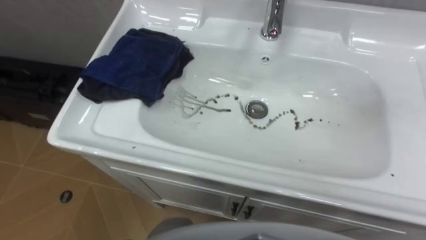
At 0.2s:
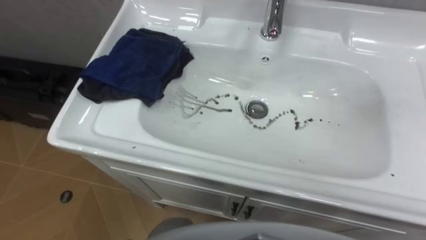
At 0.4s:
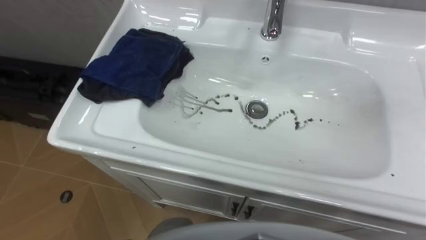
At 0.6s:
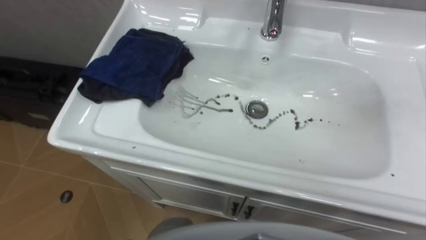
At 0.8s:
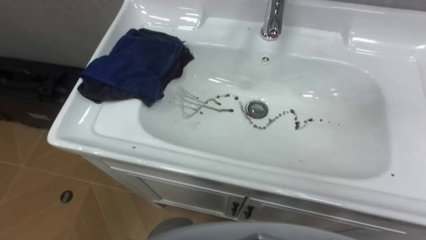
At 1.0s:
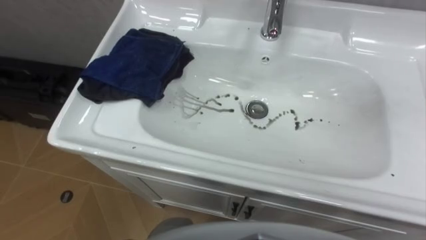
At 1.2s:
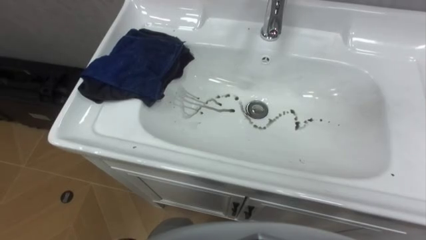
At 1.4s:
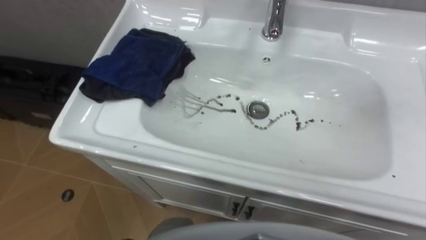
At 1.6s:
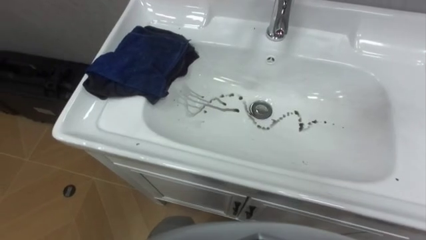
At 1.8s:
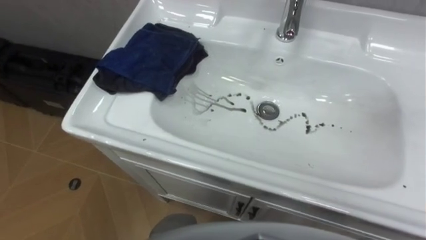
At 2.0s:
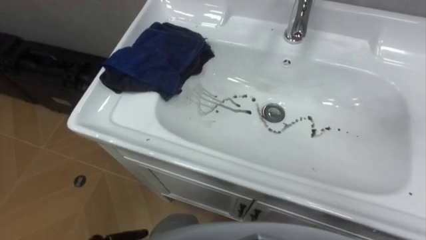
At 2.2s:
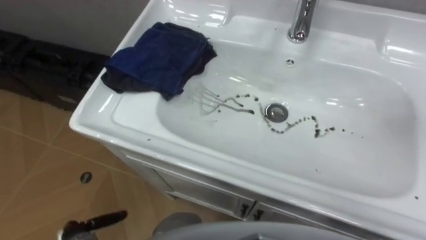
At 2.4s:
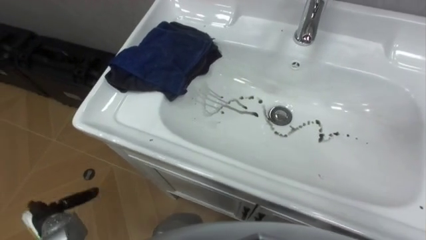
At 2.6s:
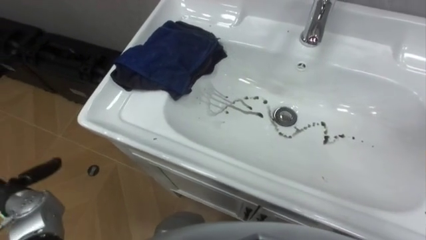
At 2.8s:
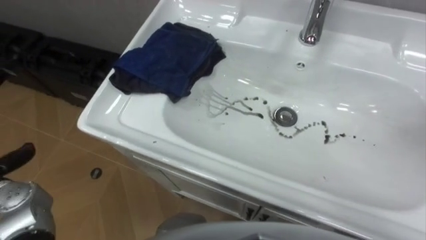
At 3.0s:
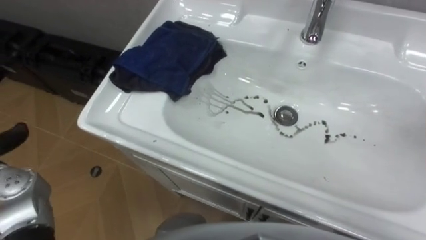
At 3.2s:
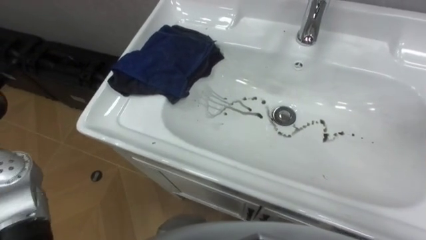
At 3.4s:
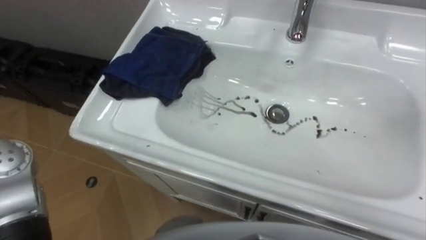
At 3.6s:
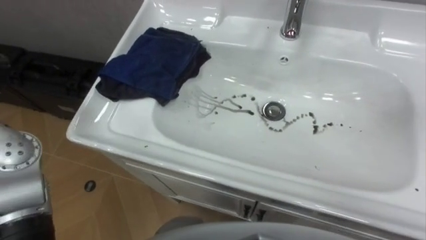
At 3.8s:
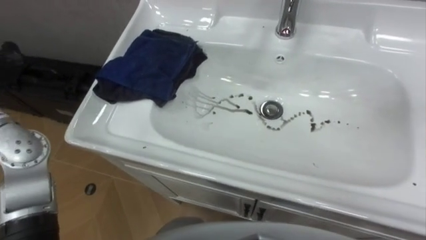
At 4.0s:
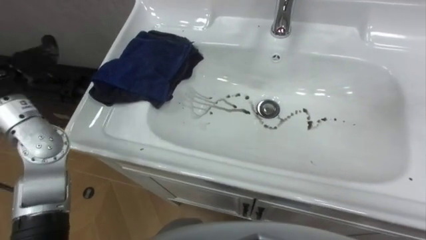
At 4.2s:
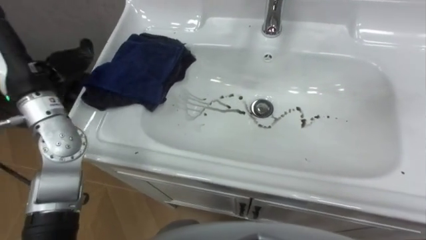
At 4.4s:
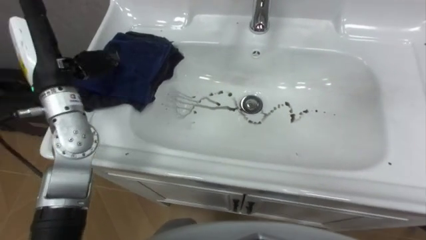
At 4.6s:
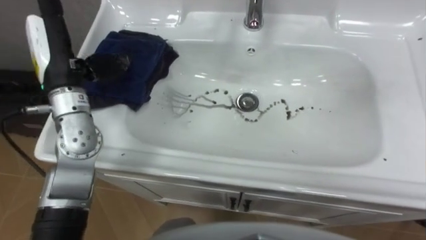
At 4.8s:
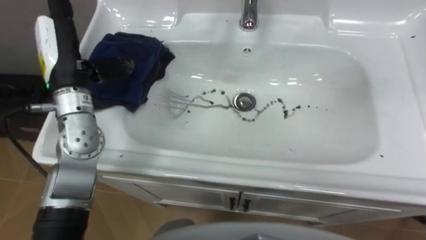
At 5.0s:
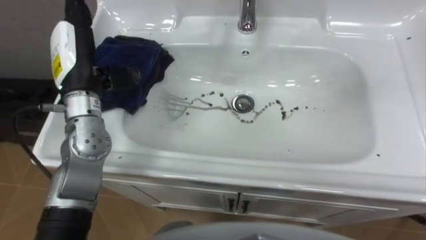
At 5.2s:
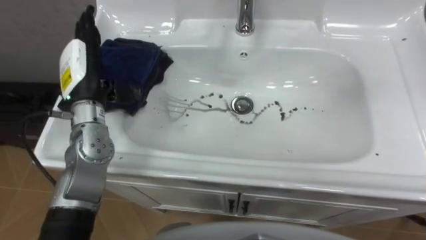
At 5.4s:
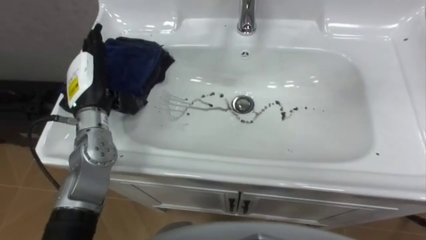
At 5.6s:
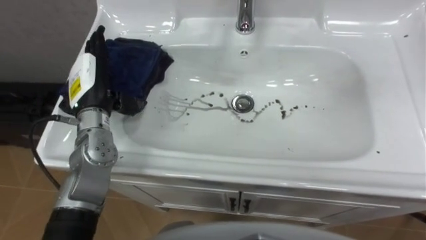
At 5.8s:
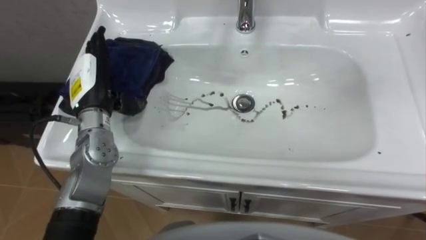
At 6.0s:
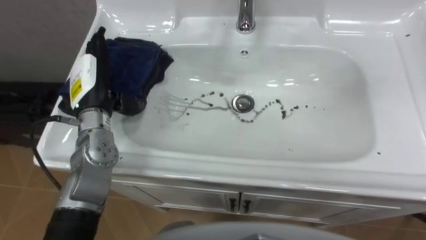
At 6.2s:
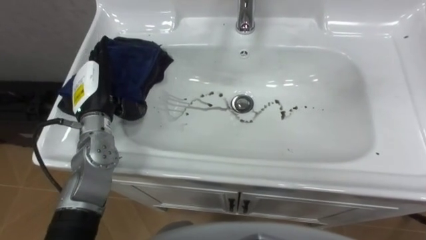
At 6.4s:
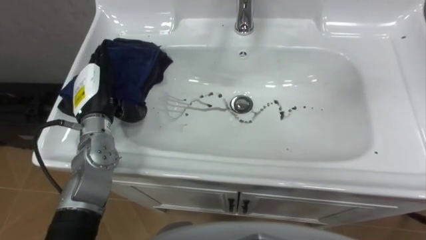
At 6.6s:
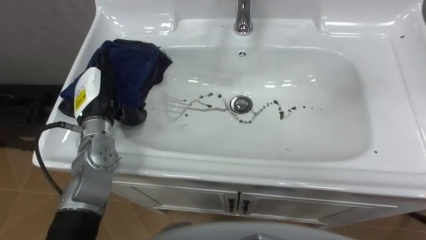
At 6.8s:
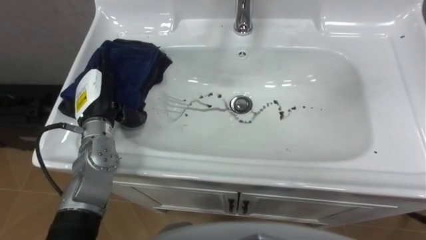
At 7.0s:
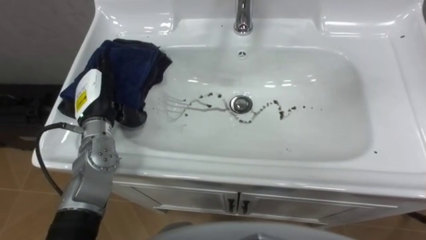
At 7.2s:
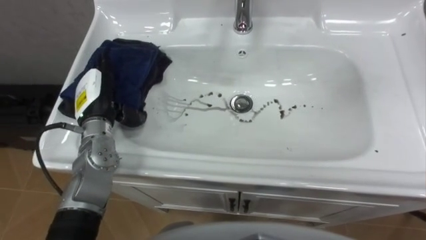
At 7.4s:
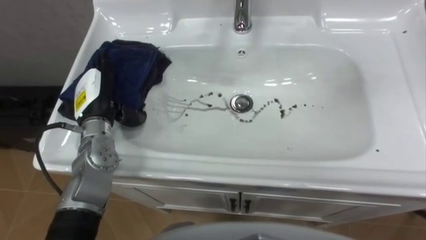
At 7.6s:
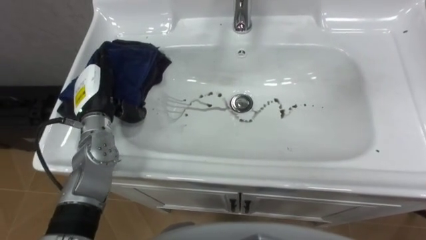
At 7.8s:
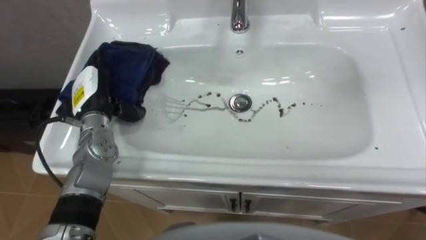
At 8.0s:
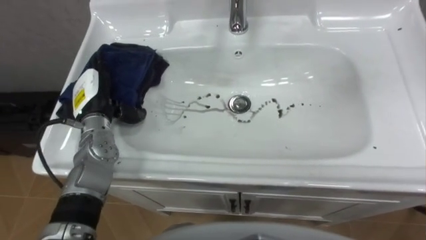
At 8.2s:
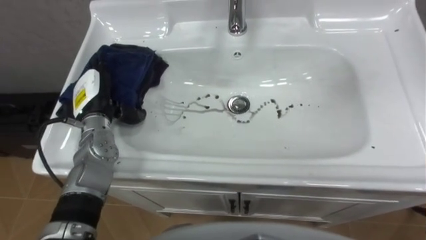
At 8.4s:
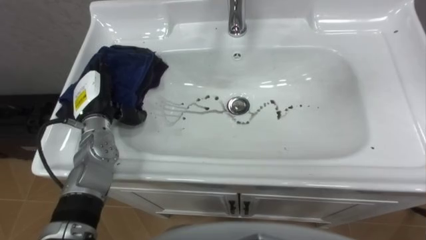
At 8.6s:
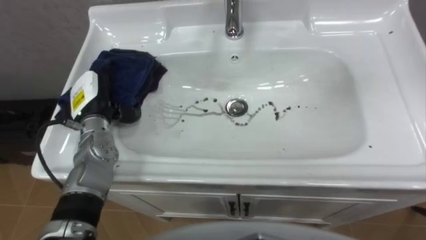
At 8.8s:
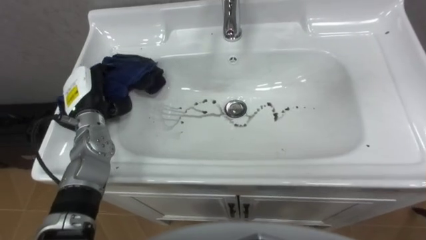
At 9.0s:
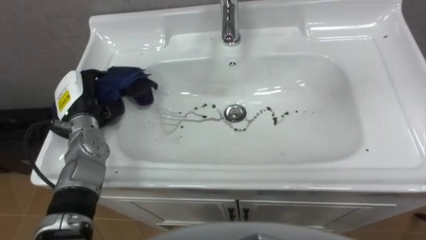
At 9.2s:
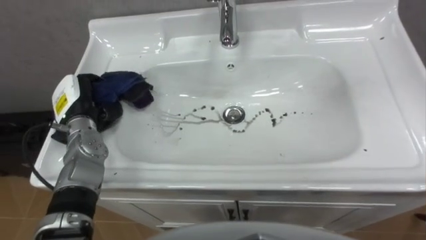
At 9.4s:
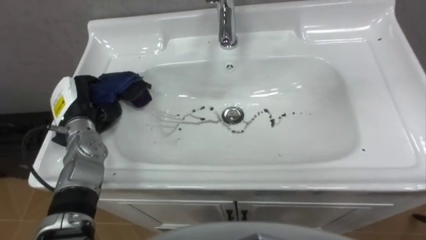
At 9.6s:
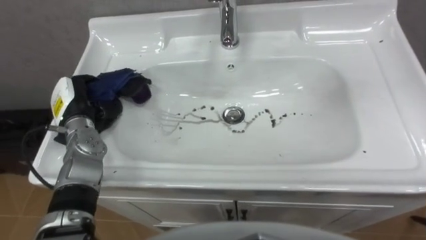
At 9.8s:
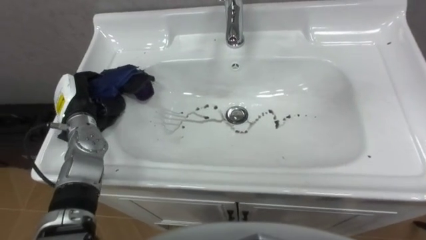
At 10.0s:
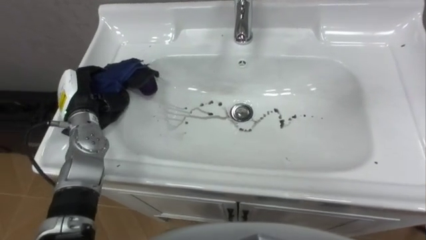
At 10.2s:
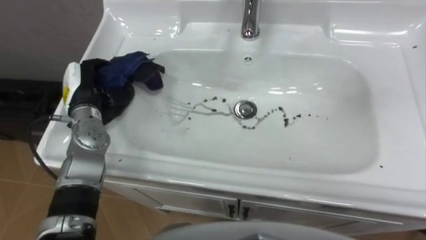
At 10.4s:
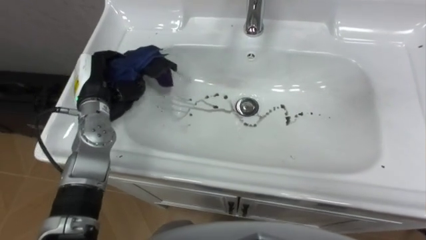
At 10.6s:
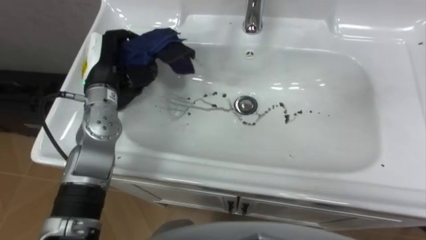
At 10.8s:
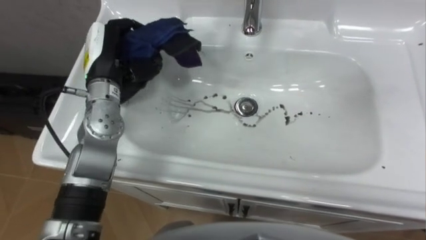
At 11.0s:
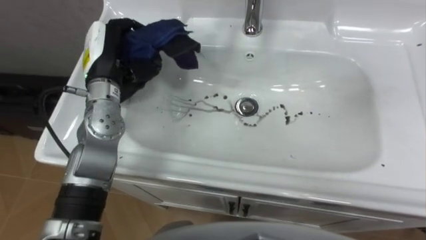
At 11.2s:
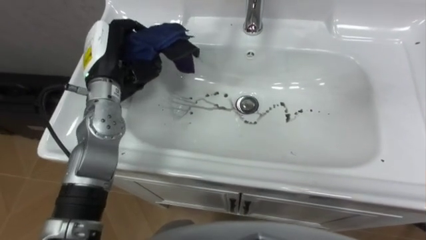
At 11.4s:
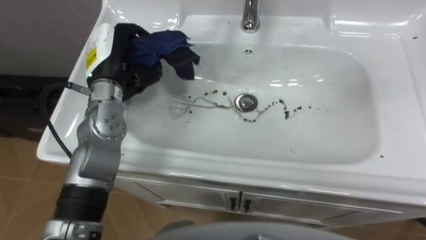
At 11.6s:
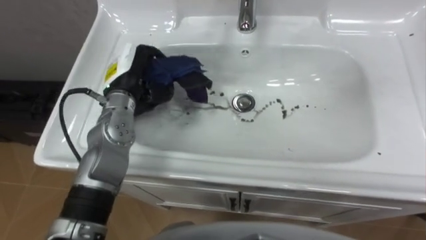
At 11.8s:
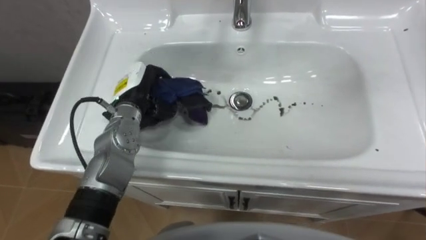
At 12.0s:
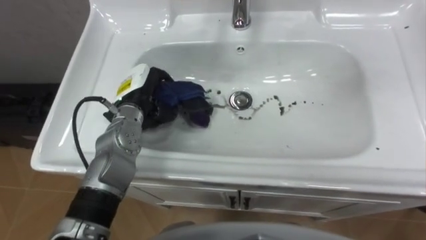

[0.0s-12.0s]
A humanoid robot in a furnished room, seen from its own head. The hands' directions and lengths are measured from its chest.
Task of the whole recording: Use the cloth on the right to wipe away the black stain in the sink.
4.4s to 6.0s: The left hand is displaced downward by roughly 10 cm.
7.6s to 9.0s: The left hand changes place by about 5 cm, and closes its fingers.
9.0s to 10.4s: The left hand moves about 5 cm.
10.4s to 12.0s: The left hand moves to the right, approximately 10 cm.

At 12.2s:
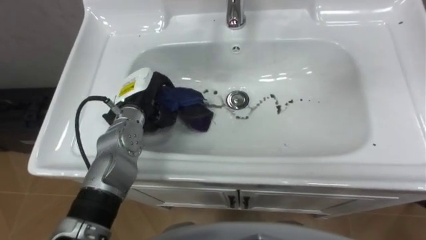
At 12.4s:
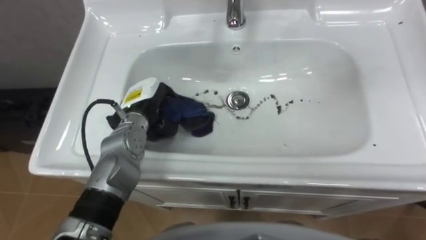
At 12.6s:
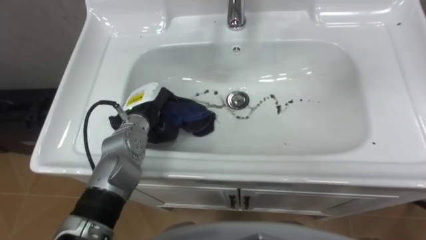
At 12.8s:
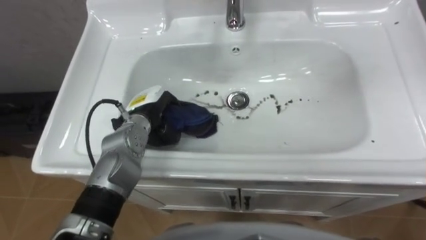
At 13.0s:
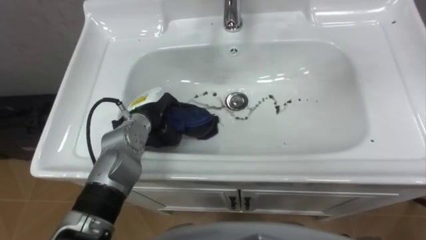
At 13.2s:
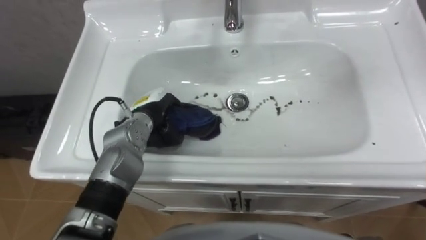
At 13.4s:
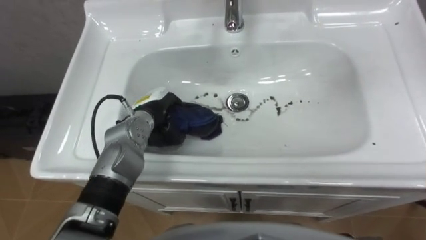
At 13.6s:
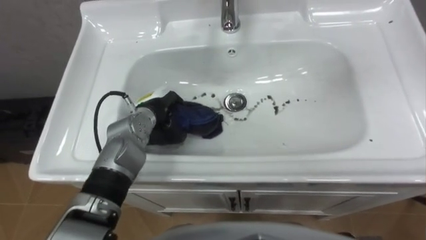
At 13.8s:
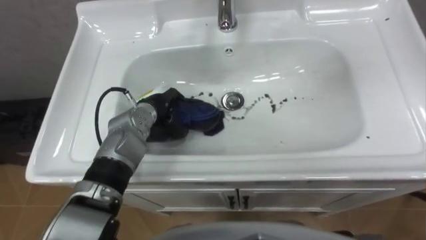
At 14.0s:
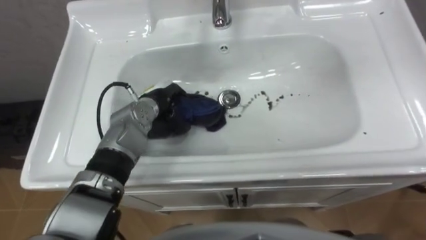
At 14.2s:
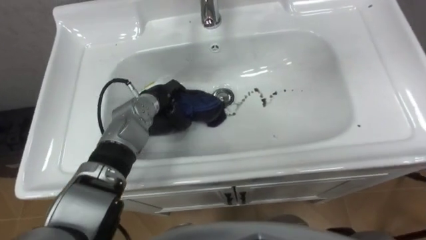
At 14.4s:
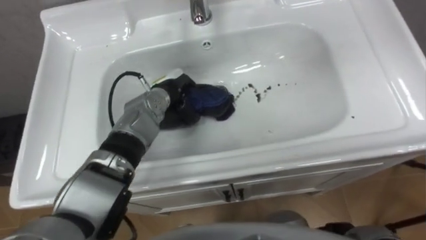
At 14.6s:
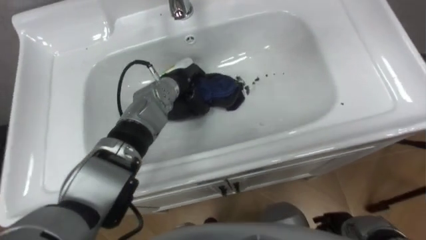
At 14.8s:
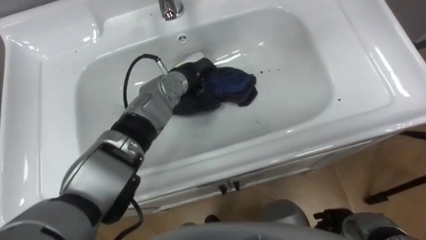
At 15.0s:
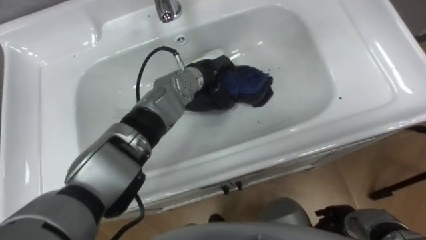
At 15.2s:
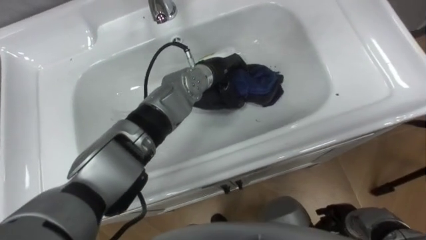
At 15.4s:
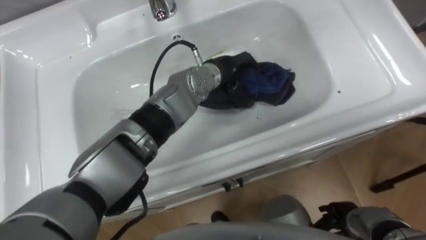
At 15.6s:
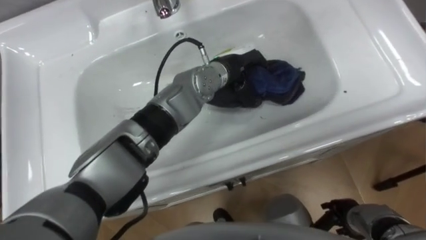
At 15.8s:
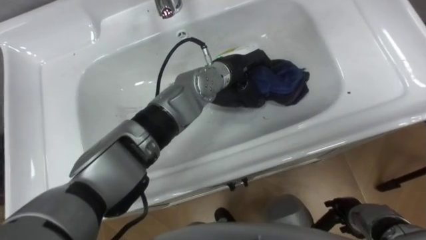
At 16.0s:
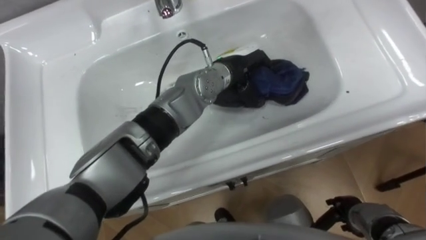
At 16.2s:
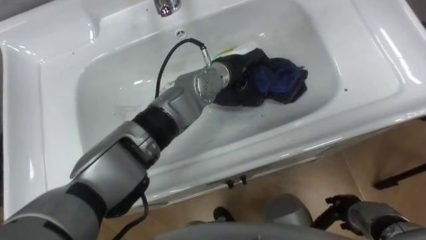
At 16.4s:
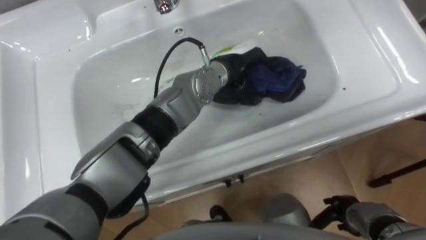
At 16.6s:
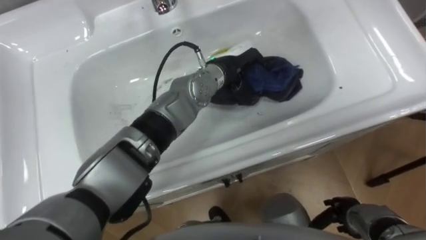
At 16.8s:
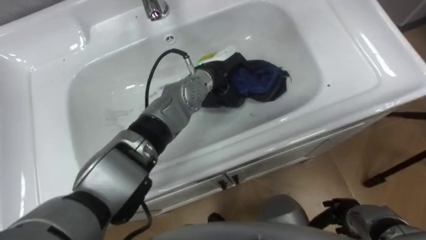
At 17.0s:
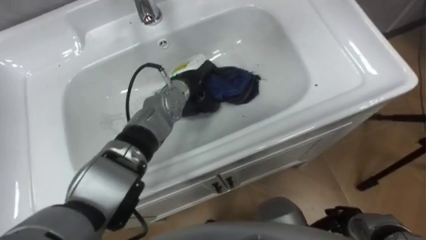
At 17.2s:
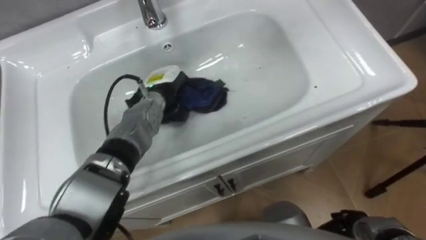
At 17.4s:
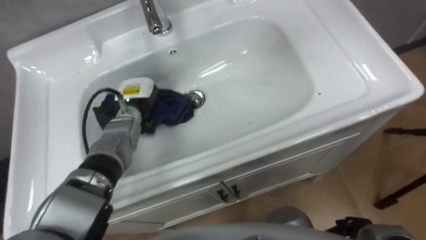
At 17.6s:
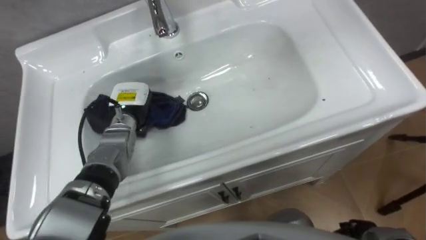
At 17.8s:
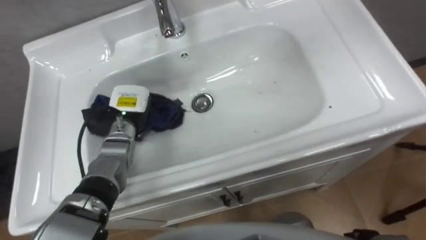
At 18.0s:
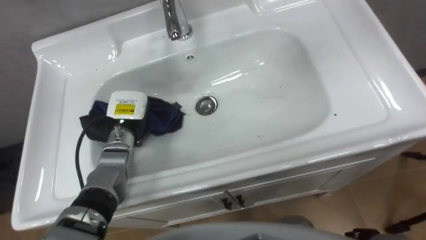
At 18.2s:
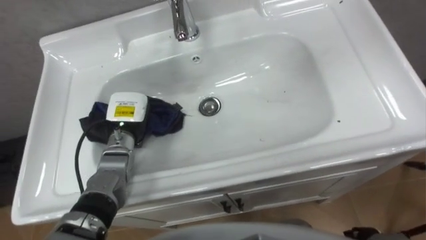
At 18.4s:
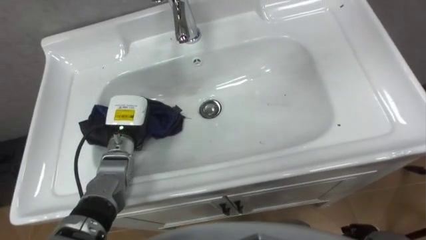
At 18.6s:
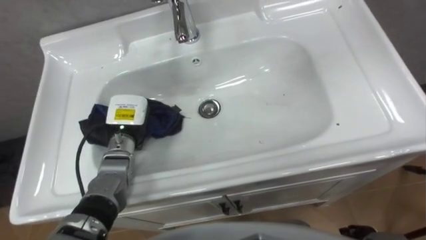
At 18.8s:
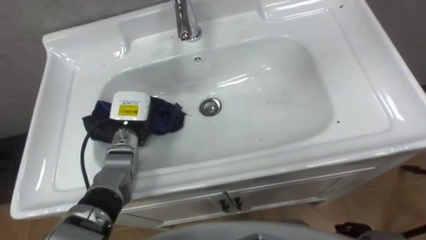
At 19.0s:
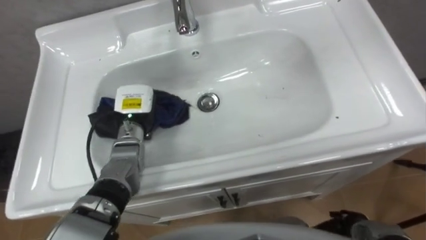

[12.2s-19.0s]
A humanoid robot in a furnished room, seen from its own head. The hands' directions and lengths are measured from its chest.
Task of the whole recording: Use the cloth on the right to wipe away the black stain in the sink.
12.2s to 13.6s: The left hand changes place by roughly 5 cm.
13.6s to 15.0s: The left hand travels to the right and forward by roughly 15 cm.
15.0s to 16.2s: The left hand moves to the right, some 5 cm.
16.2s to 17.6s: The left hand shifts some 25 cm to the left and downward.
